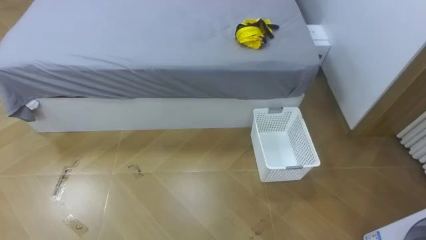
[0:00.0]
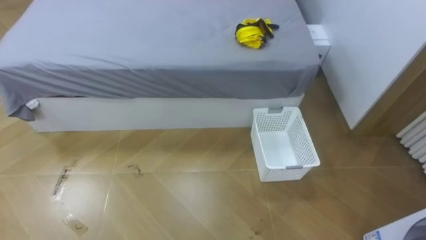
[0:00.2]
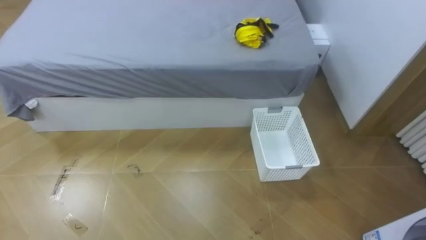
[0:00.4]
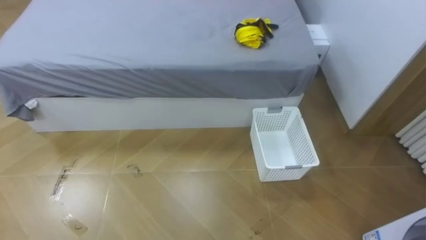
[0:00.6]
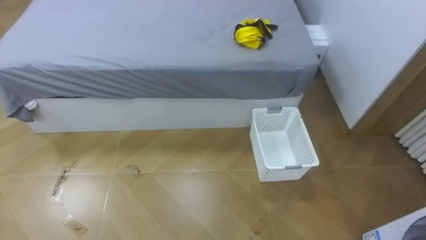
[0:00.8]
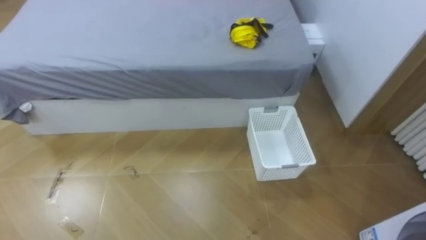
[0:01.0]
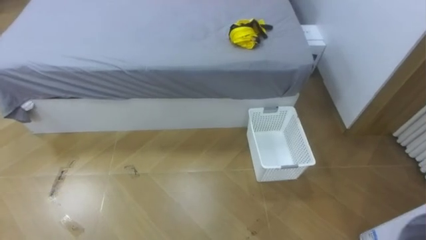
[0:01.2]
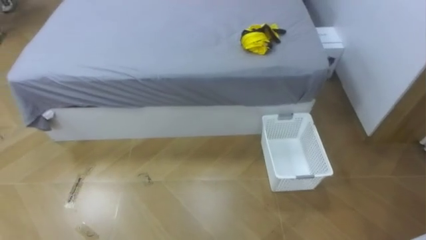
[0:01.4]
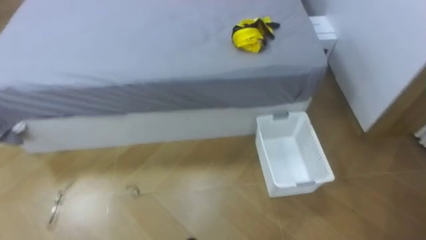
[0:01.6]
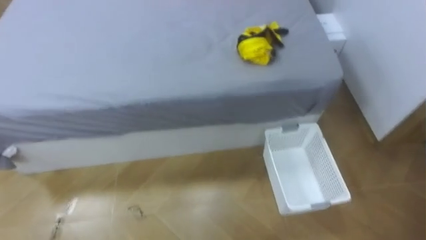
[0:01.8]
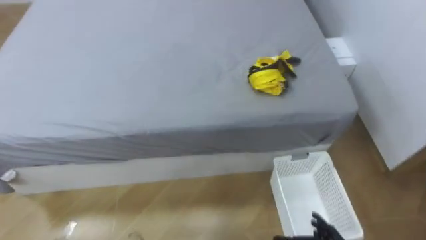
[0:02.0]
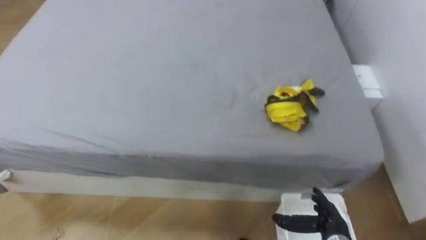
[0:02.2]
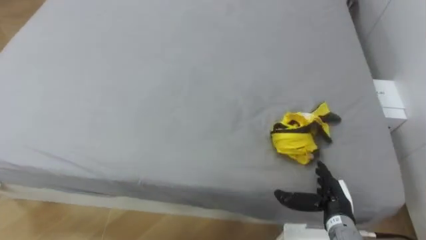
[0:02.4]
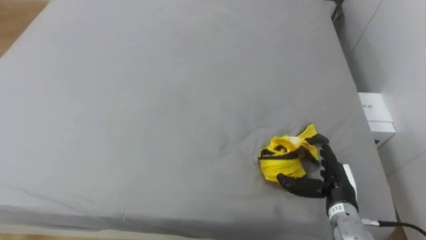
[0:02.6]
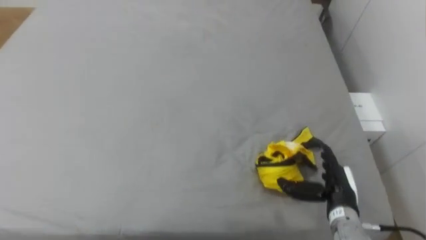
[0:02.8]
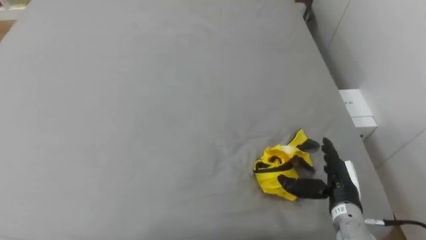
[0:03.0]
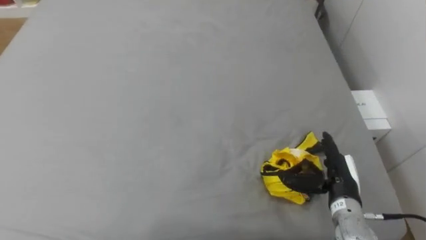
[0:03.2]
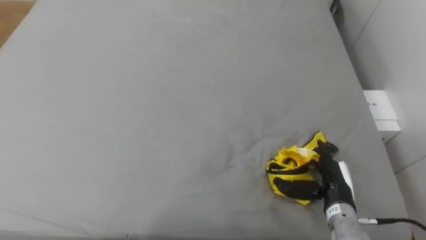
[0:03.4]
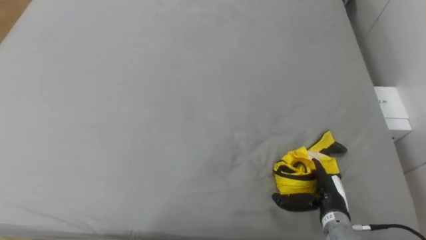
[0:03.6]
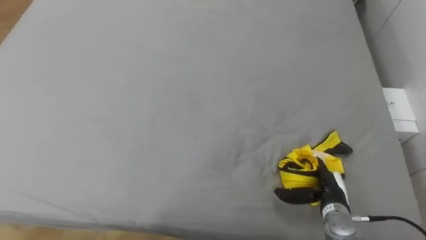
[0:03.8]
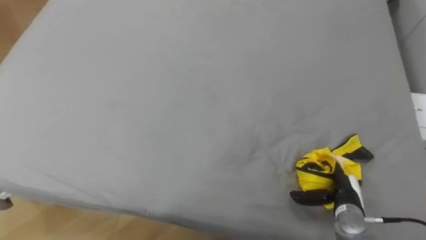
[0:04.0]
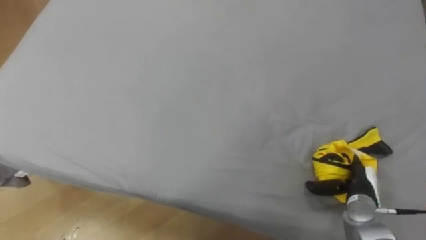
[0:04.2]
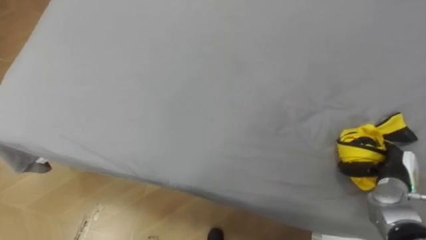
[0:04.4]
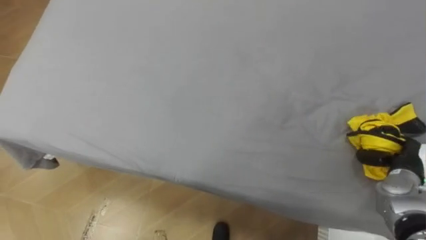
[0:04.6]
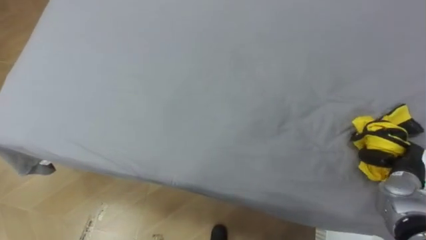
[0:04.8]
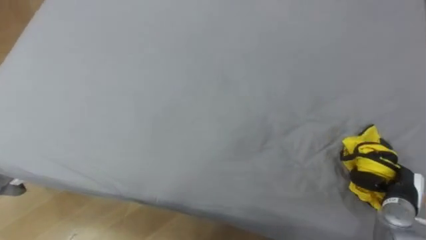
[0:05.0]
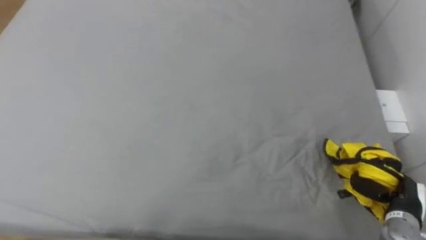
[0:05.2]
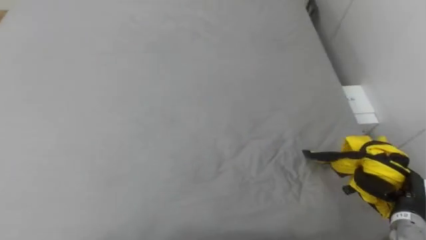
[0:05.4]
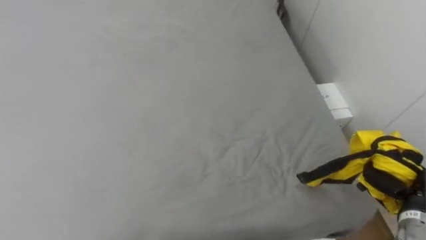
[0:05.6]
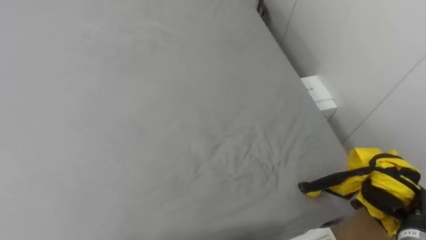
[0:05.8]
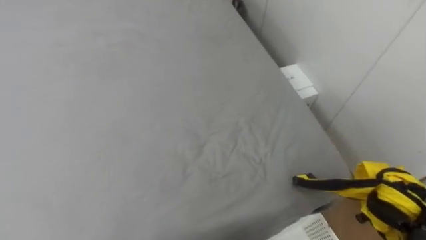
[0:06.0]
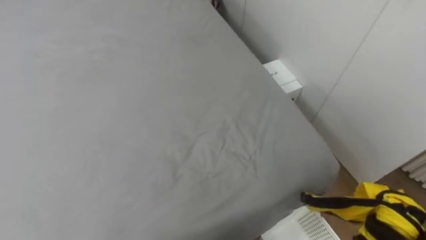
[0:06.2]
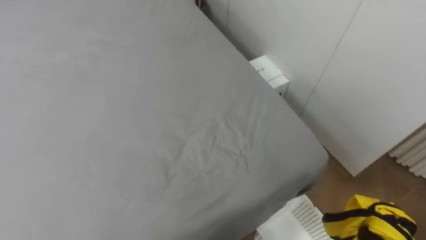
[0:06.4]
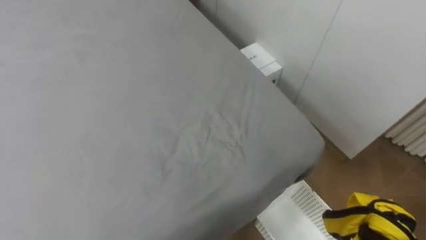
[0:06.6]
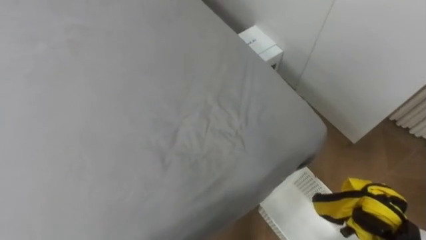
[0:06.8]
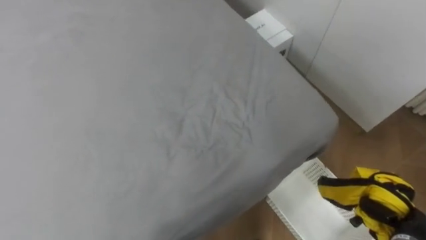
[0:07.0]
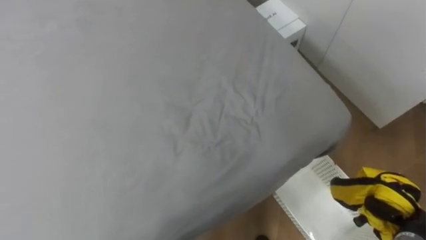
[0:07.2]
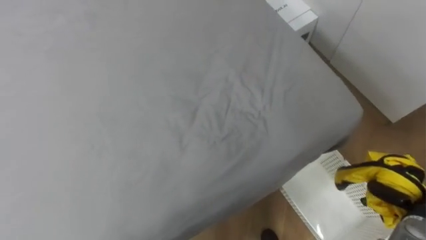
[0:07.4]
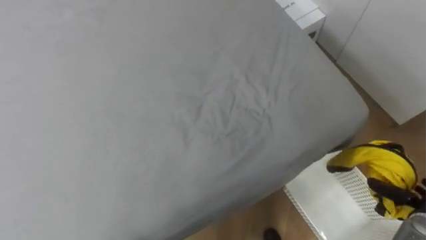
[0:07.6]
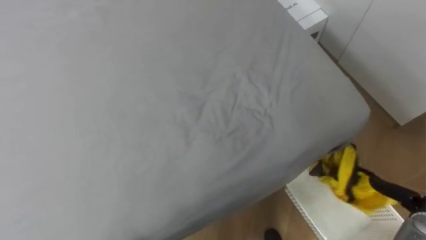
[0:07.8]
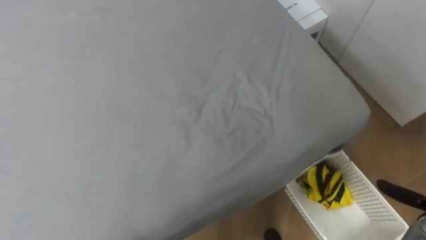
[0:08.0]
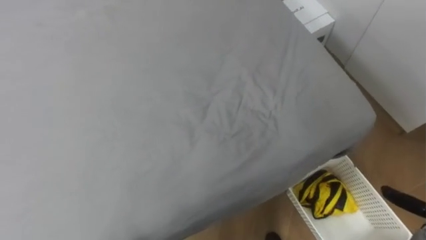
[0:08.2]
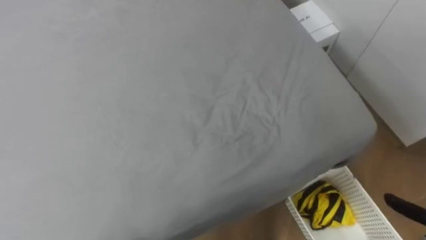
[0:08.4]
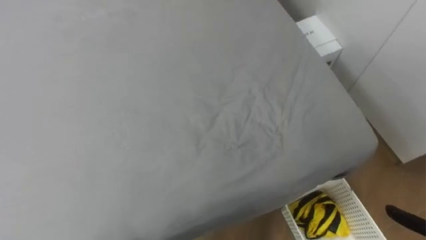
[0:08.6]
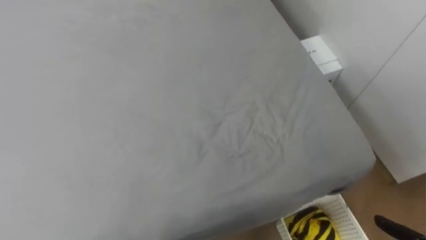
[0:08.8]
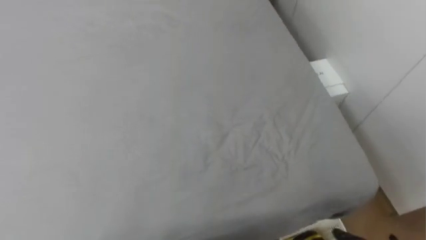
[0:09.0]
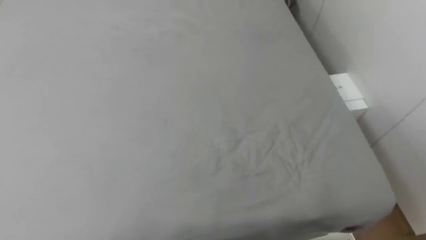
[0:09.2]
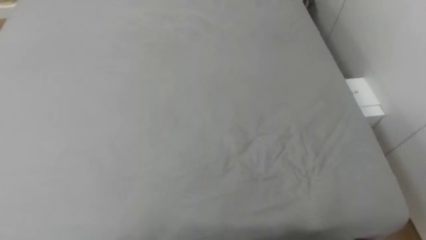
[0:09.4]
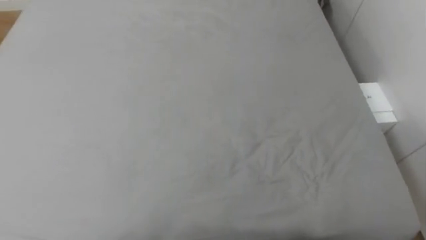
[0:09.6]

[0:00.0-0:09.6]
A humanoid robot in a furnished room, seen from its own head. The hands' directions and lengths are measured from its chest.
Task of the whole recording: Pick up the yellow clothes on the bed and place them into the white basket on the right.
0:03.2 to 0:04.8: The right hand shifts some 15 cm to the right, and closes its fingers.

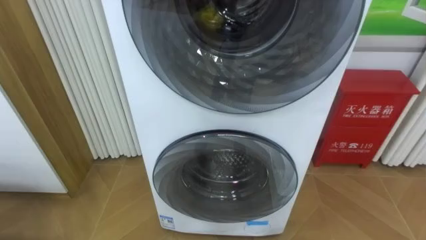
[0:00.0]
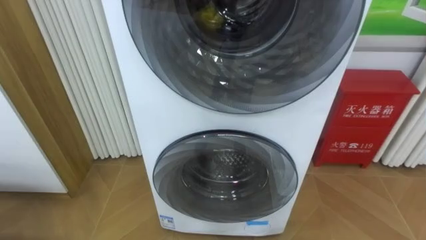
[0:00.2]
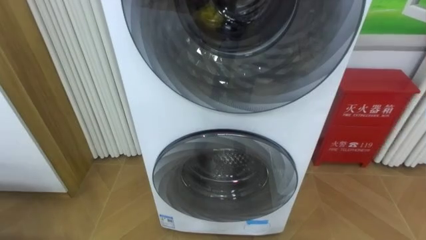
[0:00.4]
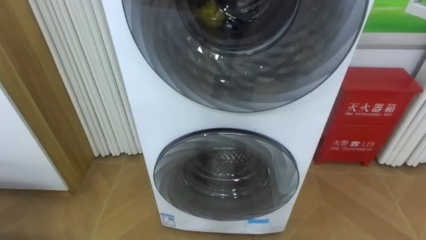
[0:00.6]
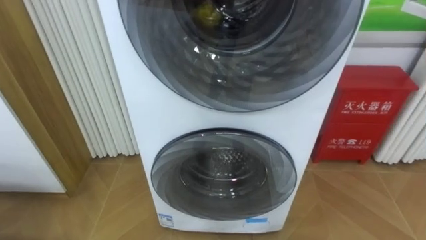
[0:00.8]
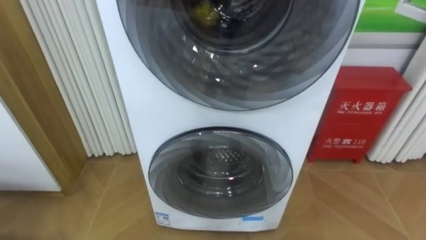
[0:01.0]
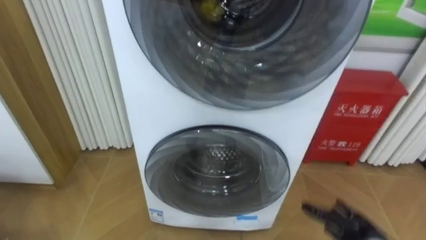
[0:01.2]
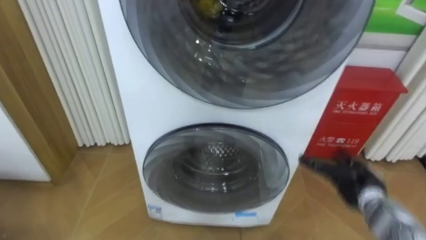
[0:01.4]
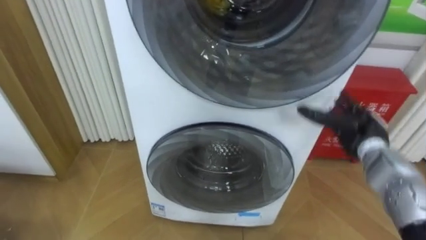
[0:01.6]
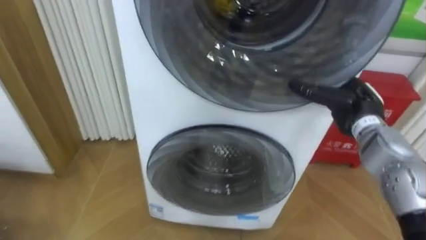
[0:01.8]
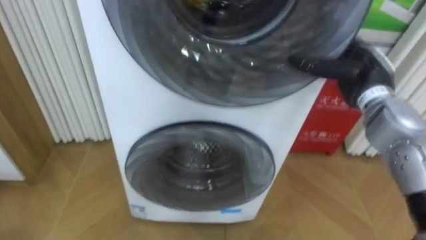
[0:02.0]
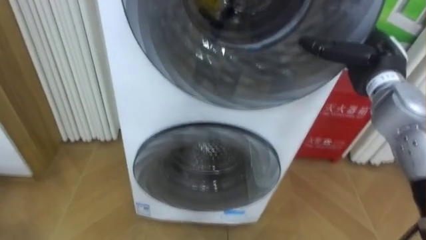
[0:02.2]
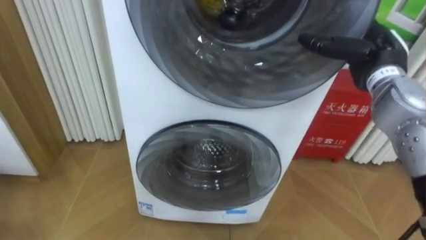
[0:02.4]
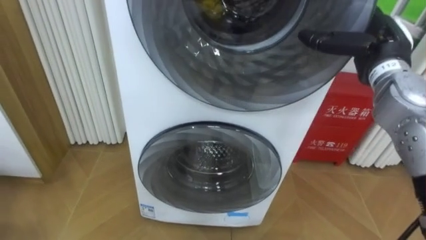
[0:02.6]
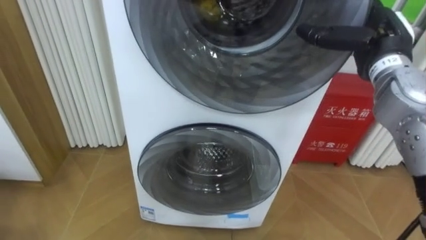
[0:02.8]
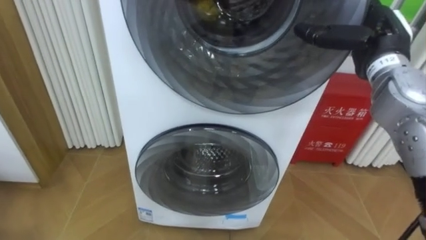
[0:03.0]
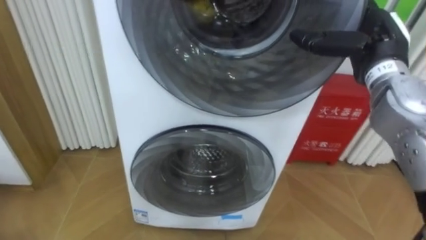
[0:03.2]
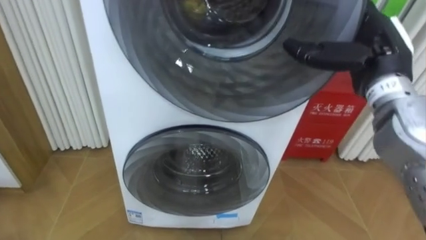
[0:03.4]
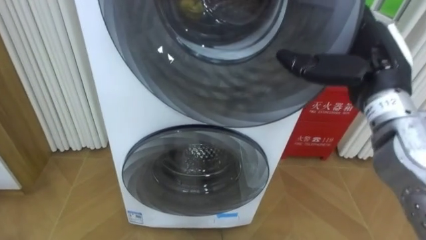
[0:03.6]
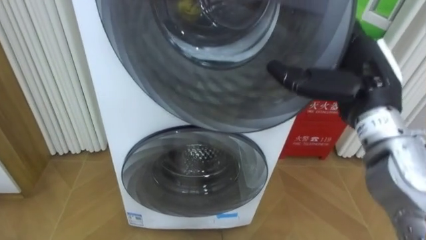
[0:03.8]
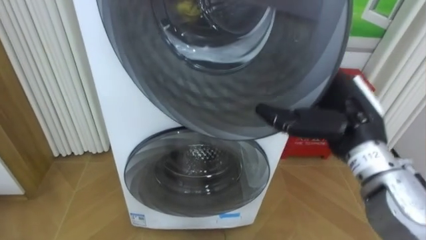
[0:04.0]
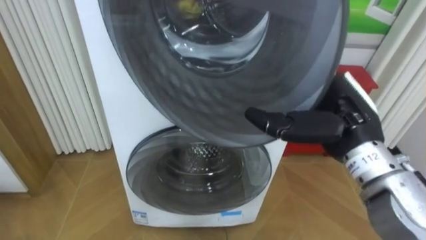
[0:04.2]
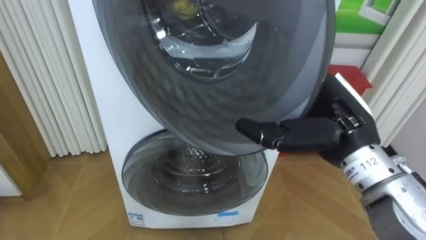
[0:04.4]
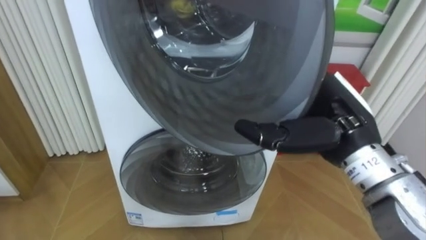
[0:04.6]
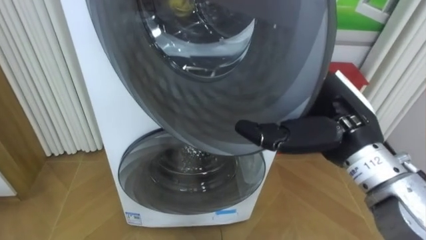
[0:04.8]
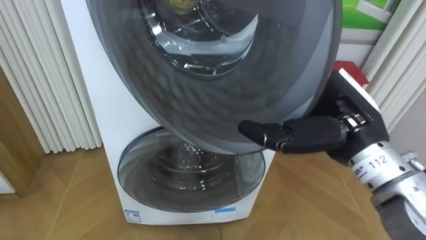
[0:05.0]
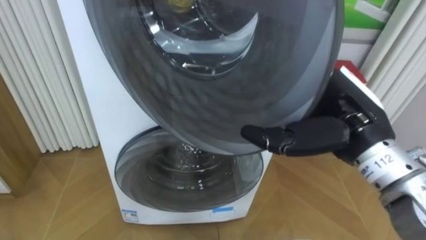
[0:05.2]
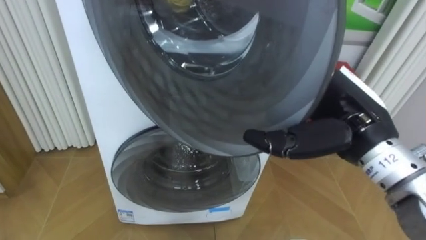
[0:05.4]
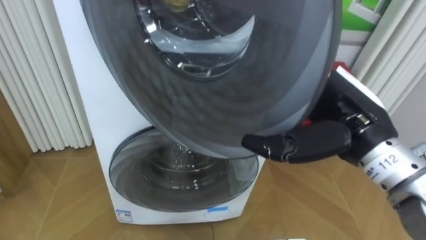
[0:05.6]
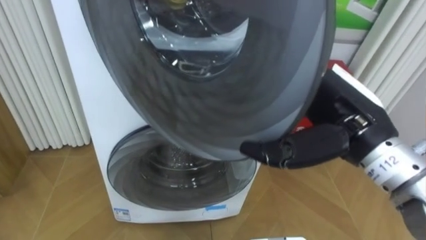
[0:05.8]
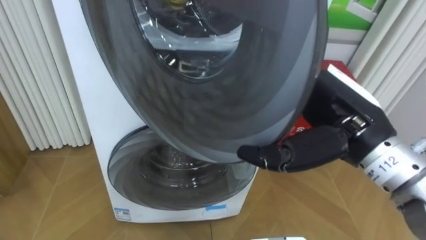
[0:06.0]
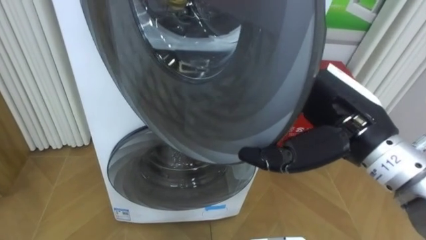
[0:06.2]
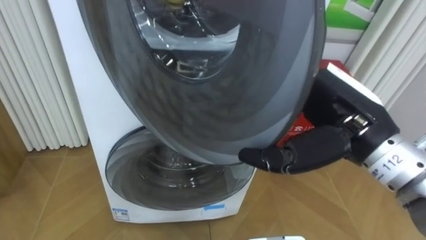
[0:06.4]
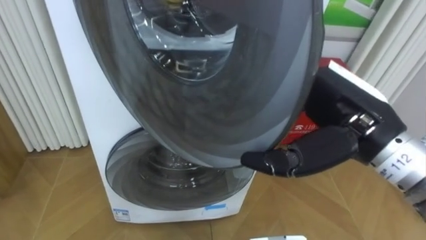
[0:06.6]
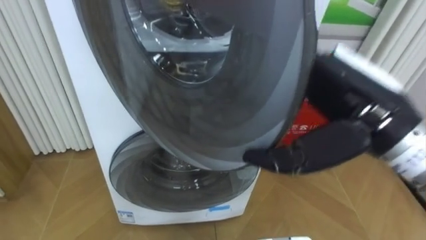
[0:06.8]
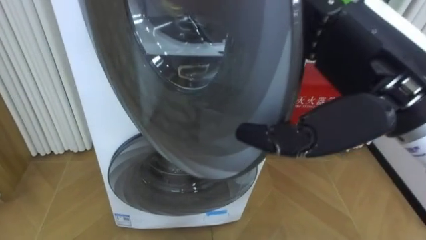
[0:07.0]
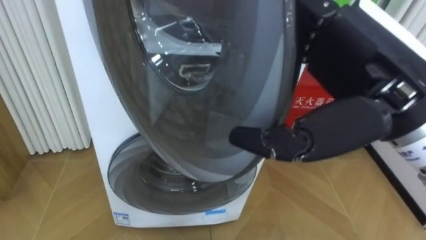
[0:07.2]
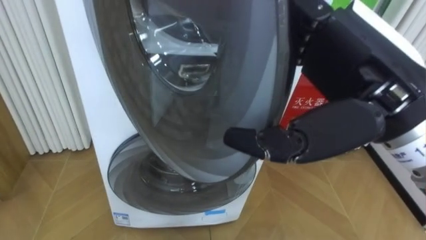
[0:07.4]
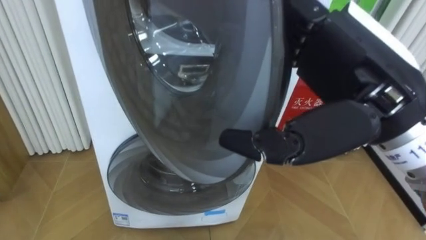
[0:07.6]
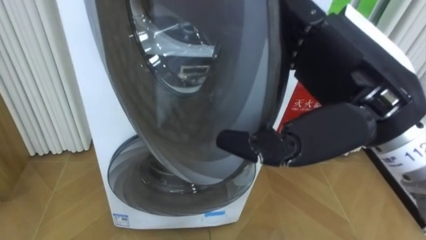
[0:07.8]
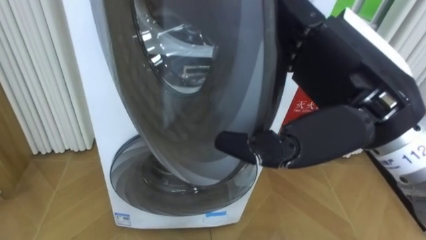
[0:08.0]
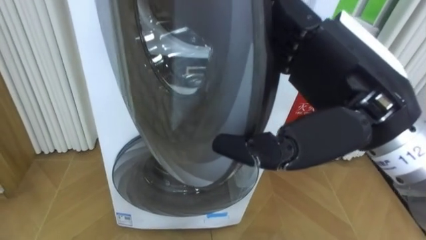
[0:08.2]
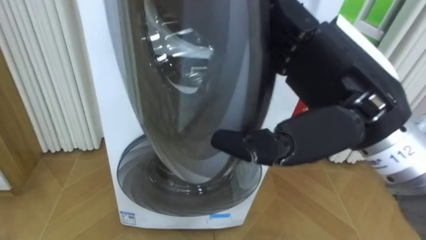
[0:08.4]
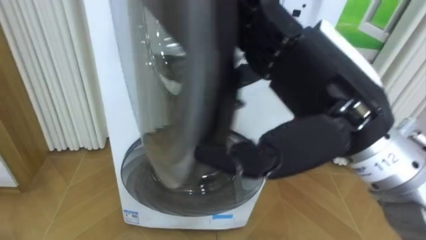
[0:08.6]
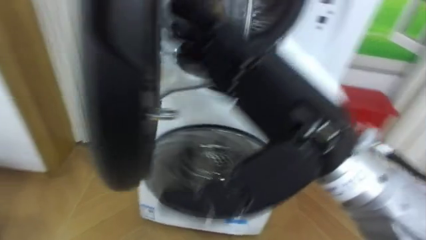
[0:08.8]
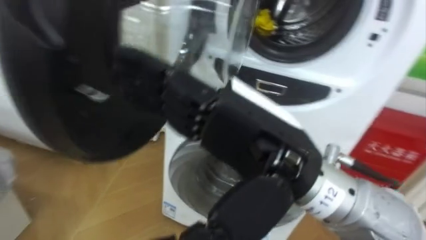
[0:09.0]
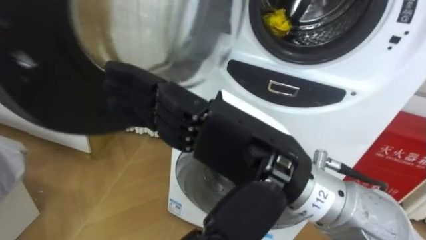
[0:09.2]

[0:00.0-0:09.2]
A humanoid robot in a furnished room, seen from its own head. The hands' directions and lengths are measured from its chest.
Task of the whole recording: Open the washing machine door, take out the yellow clothes, place them in the box on the right, and close the washing machine door.
0:01.6 to 0:03.0: The right hand goes about 20 cm upward.
0:03.0 to 0:04.6: The right hand is displaced backward and to the left by about 15 cm.
0:06.2 to 0:07.6: The right hand heads upward, covering about 5 cm.
0:07.6 to 0:09.2: The right hand heads to the left and downward, covering approximately 10 cm.
